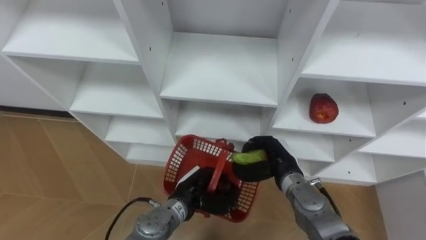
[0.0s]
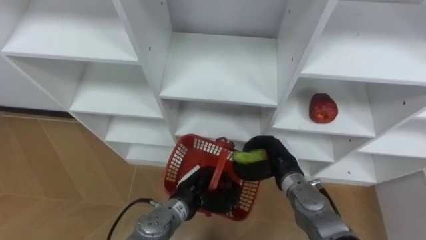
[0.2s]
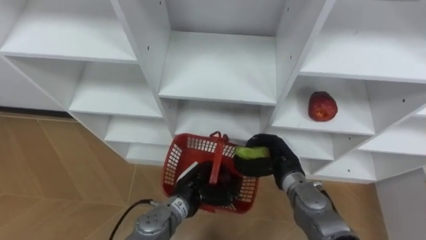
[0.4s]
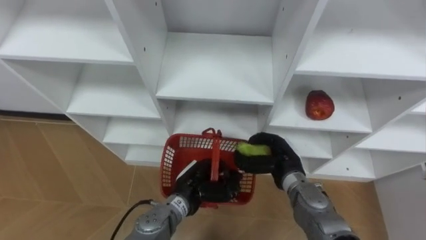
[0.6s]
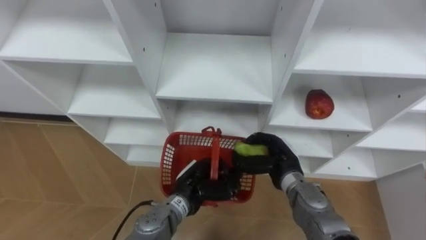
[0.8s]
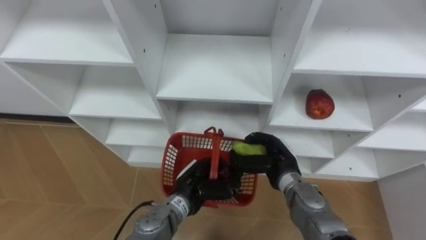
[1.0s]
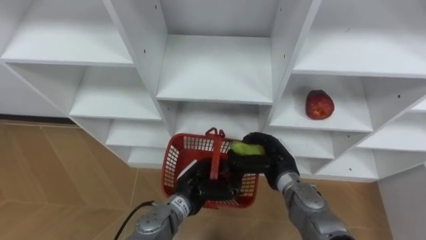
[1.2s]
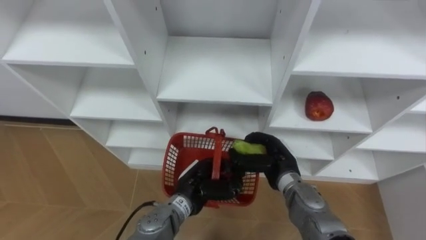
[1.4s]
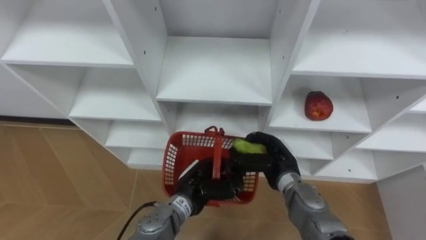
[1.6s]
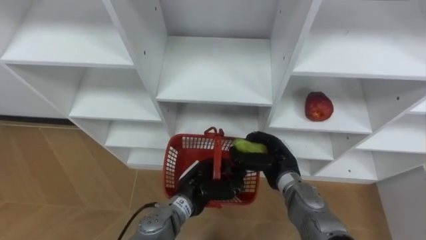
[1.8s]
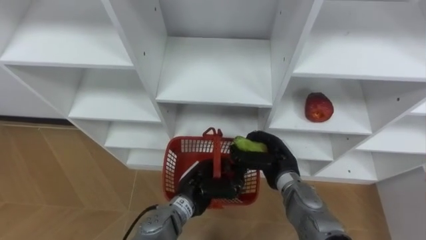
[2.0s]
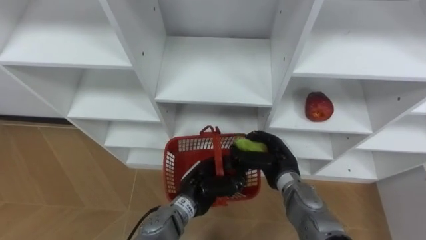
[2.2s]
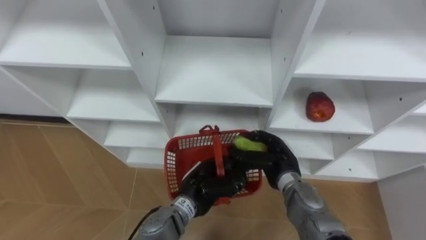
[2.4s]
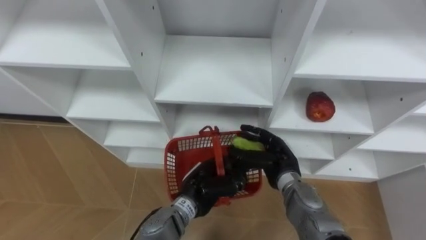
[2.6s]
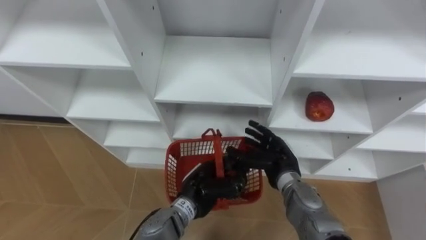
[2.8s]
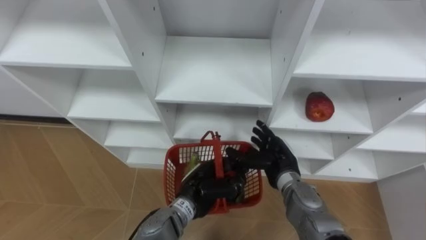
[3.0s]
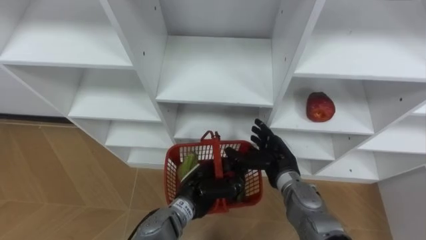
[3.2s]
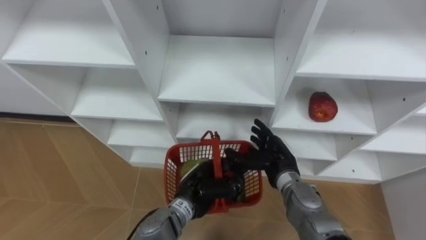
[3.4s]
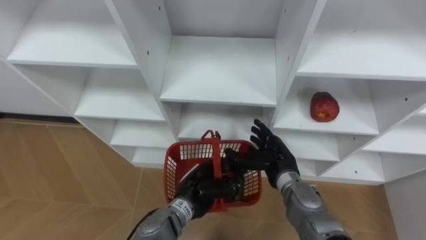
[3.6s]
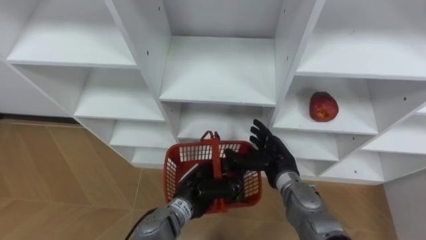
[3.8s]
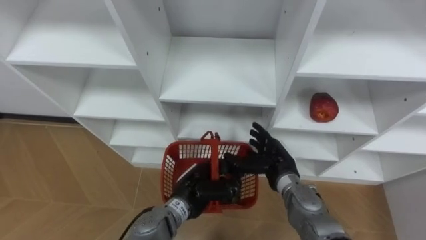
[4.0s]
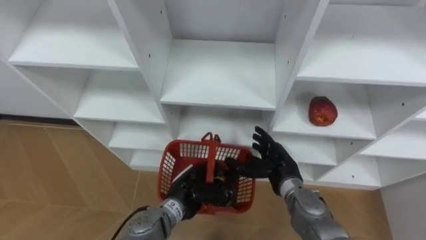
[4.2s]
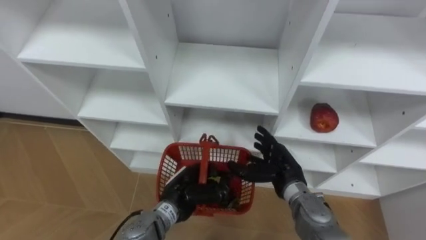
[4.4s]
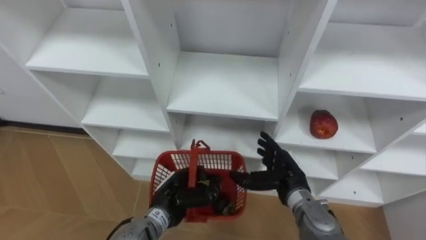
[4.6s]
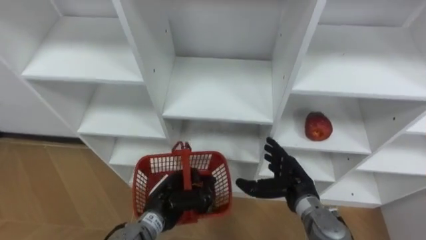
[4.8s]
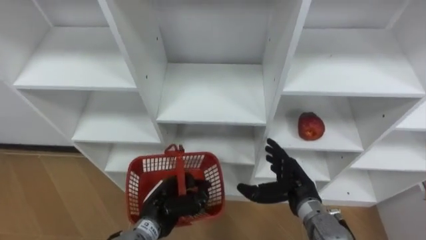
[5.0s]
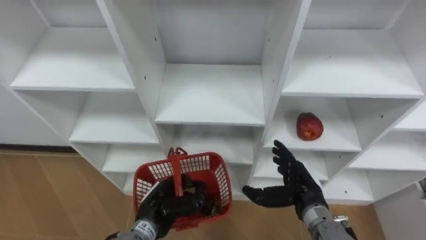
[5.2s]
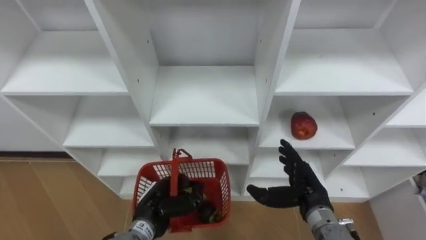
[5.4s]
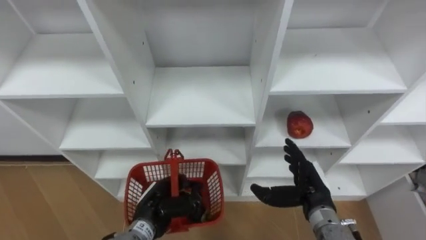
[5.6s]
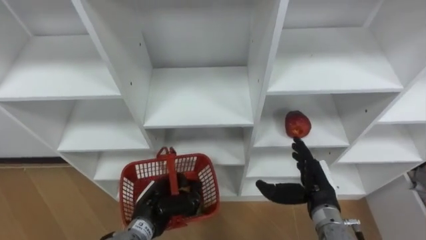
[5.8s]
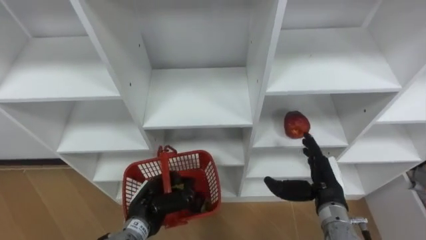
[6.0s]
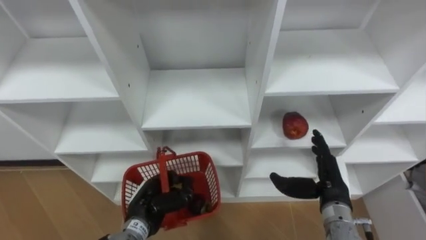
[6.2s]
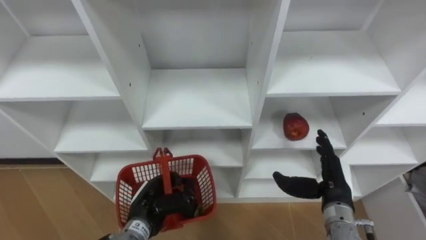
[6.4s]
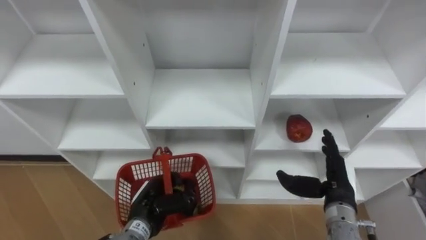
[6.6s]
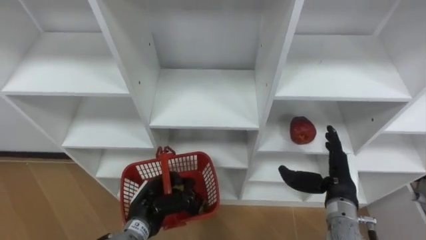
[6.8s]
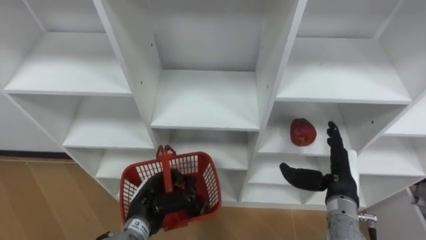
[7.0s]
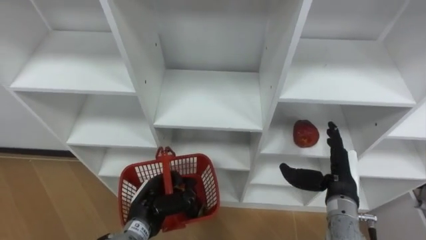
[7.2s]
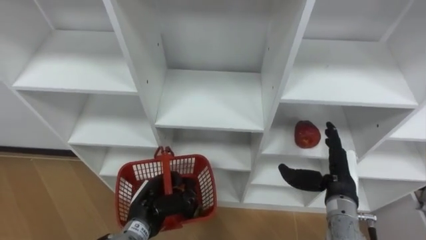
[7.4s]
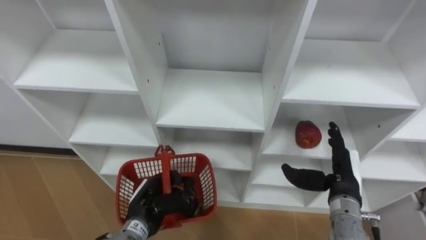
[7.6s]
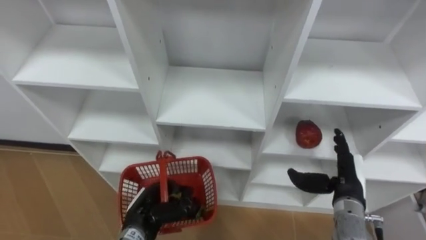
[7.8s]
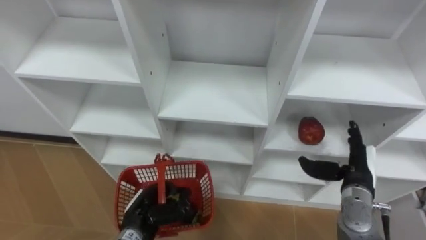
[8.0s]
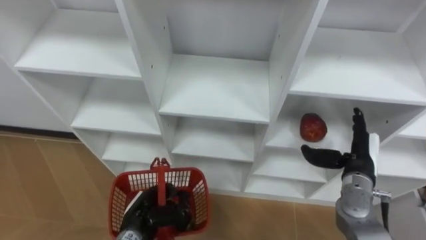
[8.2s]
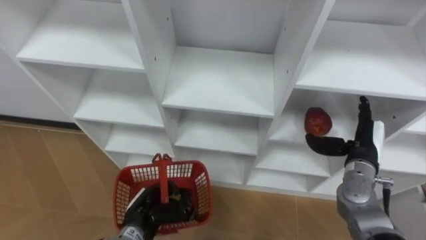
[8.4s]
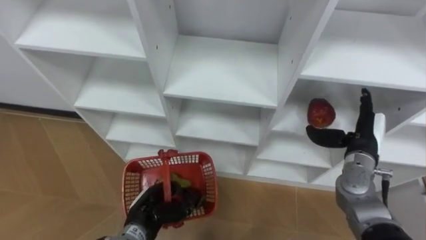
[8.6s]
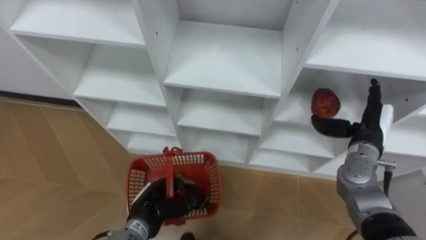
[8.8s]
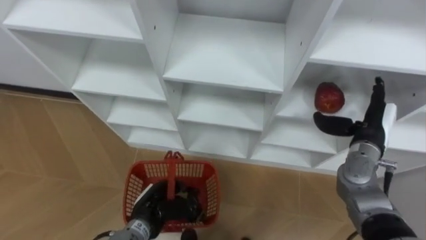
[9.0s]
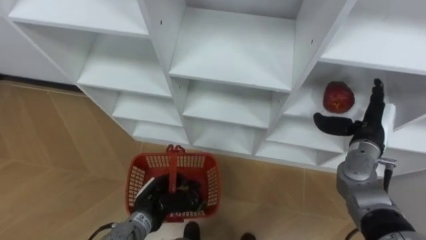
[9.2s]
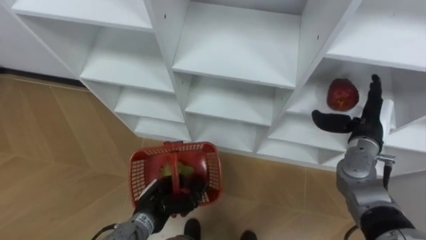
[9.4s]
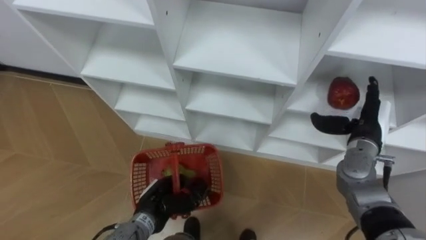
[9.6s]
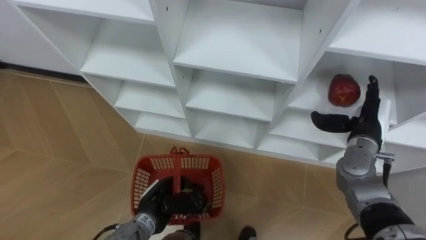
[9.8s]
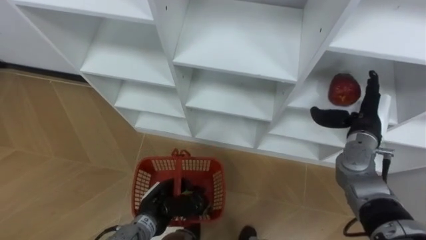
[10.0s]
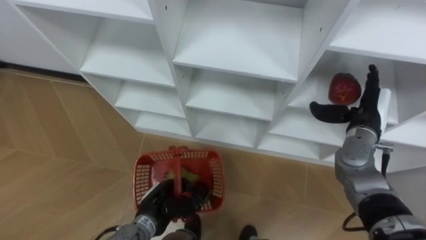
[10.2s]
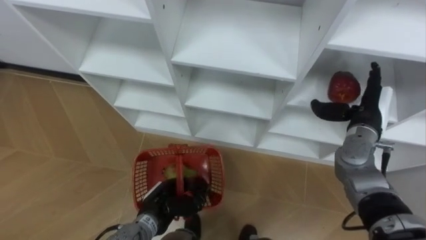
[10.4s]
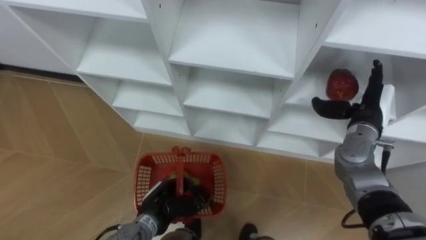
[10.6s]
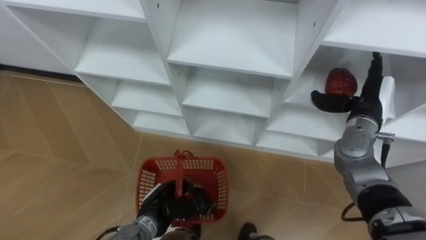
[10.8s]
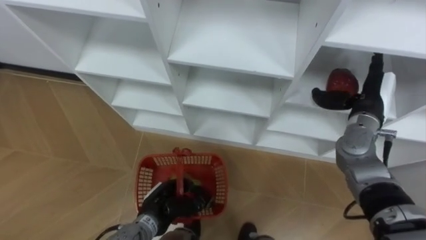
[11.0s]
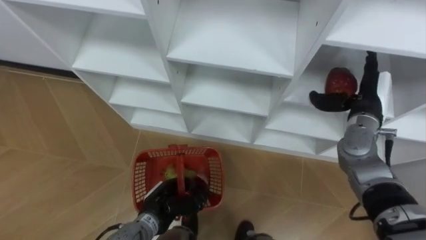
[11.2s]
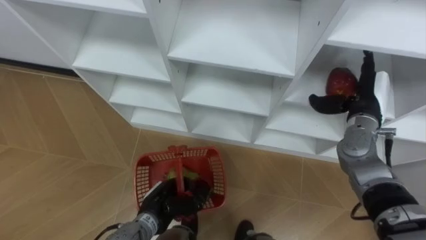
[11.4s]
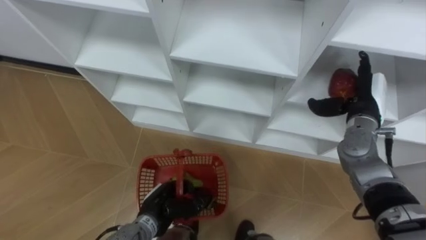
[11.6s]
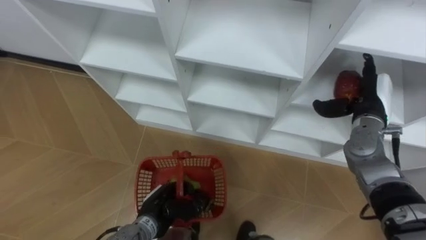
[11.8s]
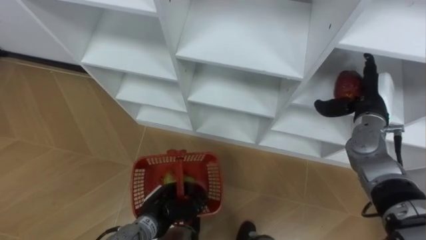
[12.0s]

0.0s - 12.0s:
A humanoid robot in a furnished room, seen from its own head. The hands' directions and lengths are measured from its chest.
Task of the whole recording: Hold the basket and collect the fruits from 3 different cells of the closet into it.
1.6s - 3.0s: The right hand opens.
4.4s - 6.0s: The left hand moves to the left, some 5 cm, while the right hand travels to the right by some 10 cm.
7.6s - 9.0s: The right hand shifts about 10 cm forward and to the right.

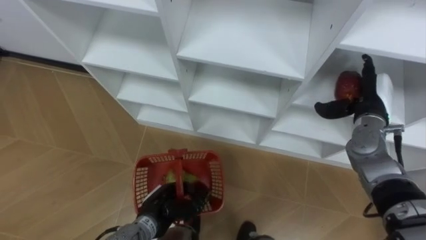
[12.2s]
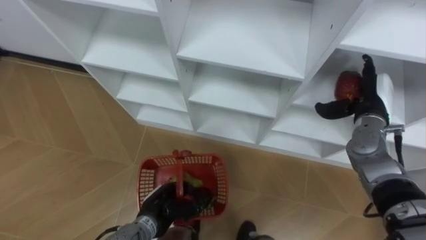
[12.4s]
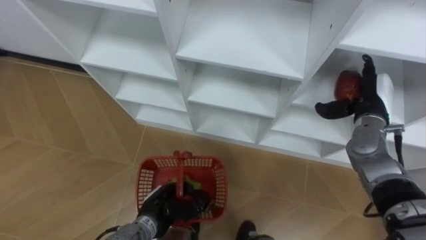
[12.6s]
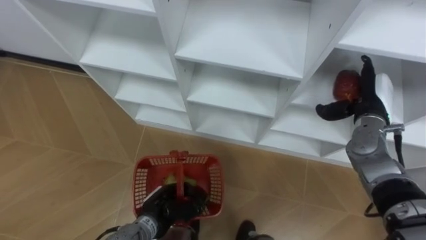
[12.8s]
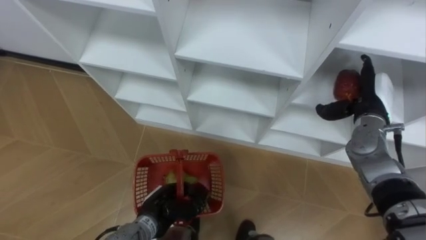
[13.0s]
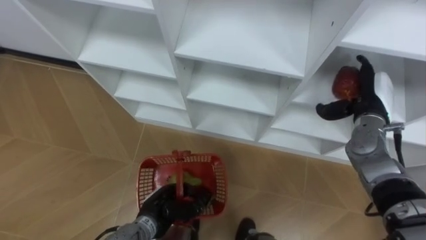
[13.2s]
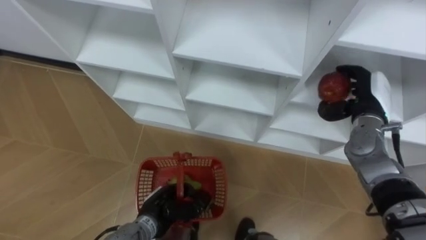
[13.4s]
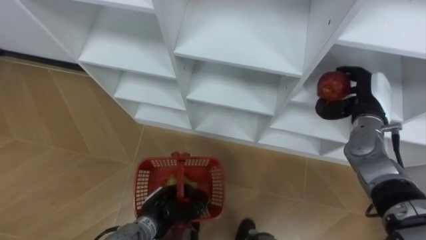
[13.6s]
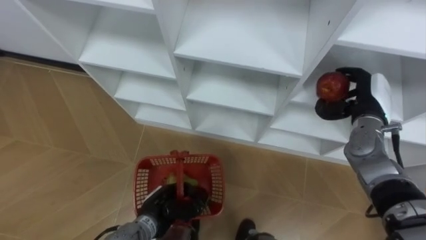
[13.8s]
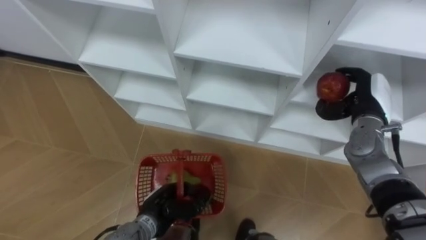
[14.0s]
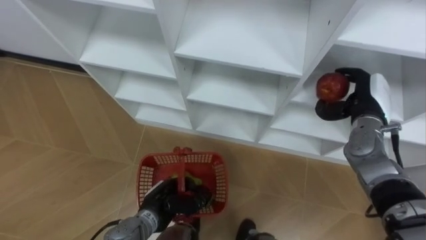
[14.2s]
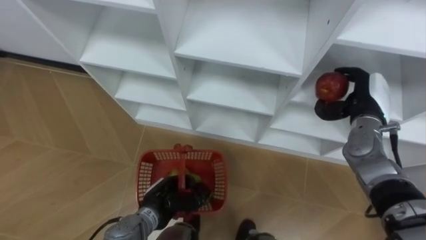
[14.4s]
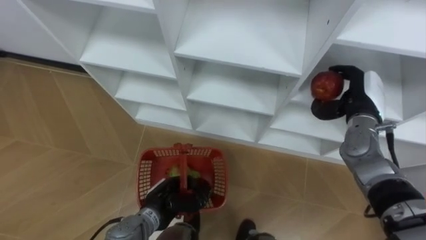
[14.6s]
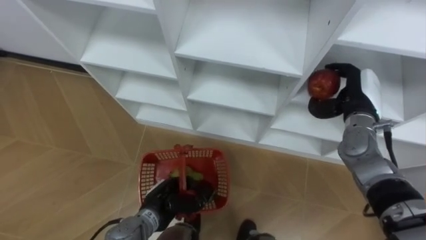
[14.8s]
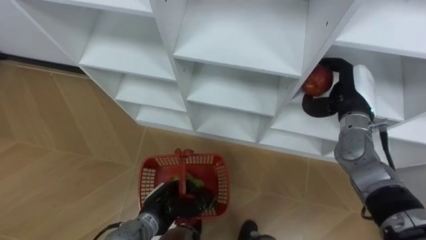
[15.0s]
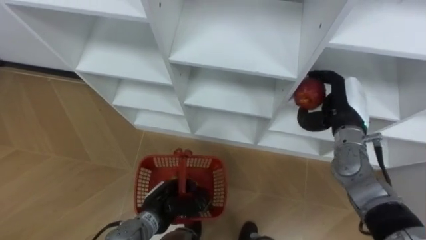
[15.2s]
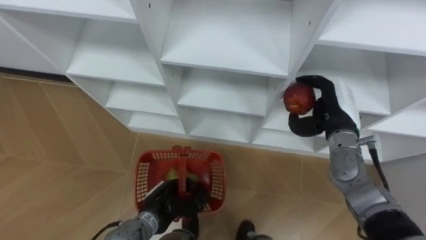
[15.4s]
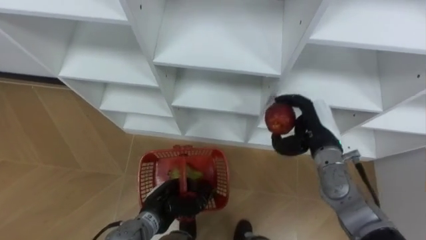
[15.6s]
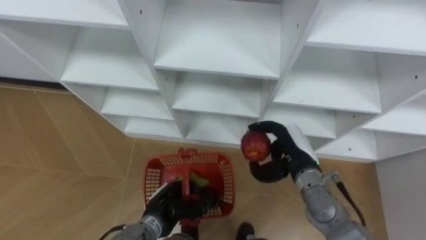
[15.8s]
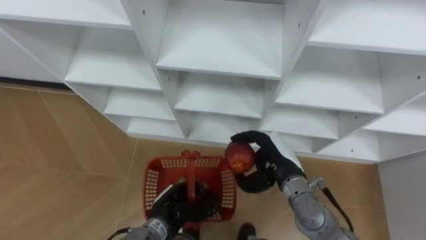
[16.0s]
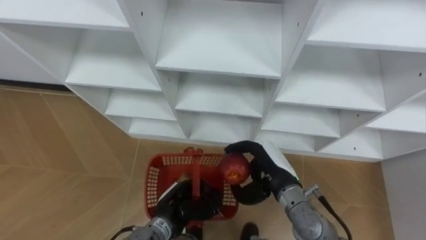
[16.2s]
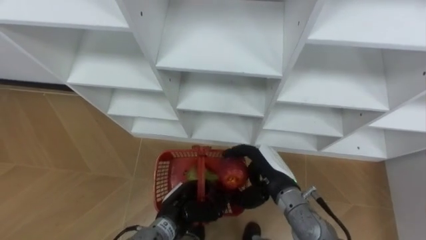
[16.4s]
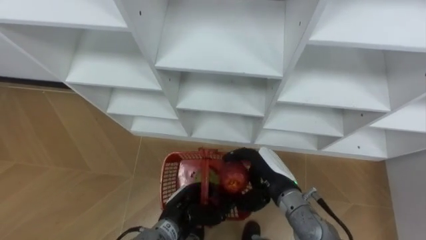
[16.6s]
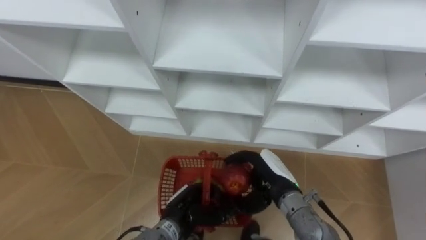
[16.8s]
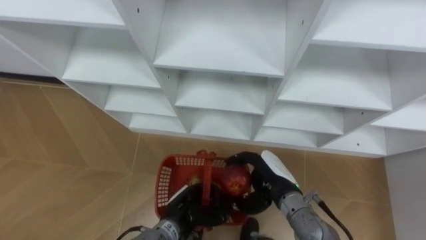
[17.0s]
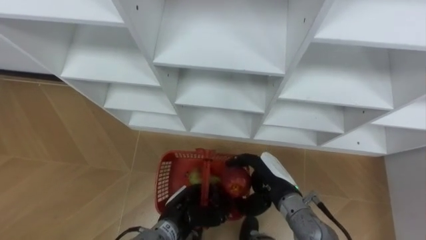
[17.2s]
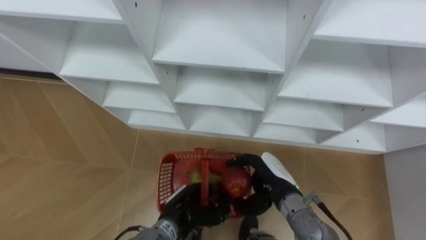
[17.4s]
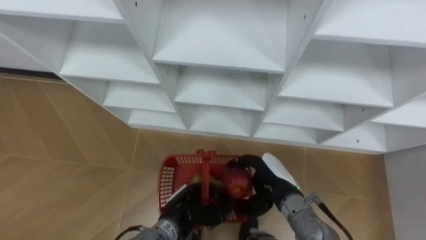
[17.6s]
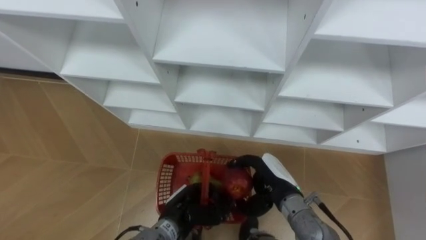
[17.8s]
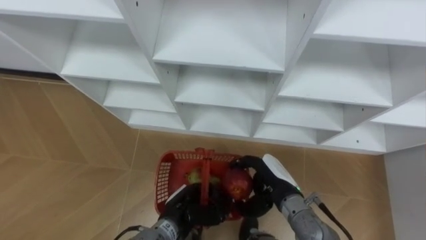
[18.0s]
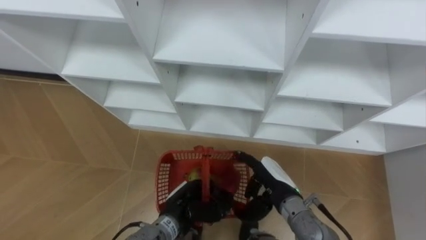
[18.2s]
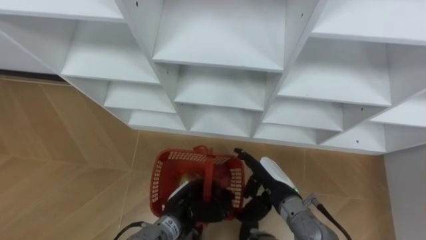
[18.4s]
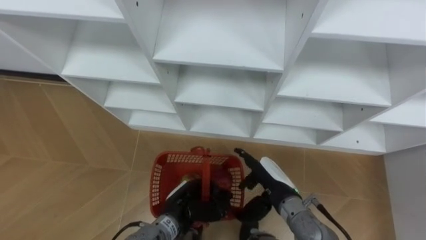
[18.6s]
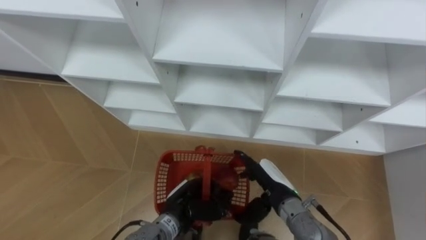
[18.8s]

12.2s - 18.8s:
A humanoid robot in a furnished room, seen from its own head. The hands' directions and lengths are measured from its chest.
Task of the whole recording: Hold the basket and collect the fruits from 3 different cells of the closet into it.
12.2s - 13.8s: The right hand closes up.
13.8s - 15.4s: The right hand moves to the left, roughly 5 cm.
15.4s - 17.2s: The right hand travels to the left, backward and downward by some 20 cm. Meanwhile the left hand shifts by about 5 cm.
17.2s - 18.8s: The right hand opens up.
